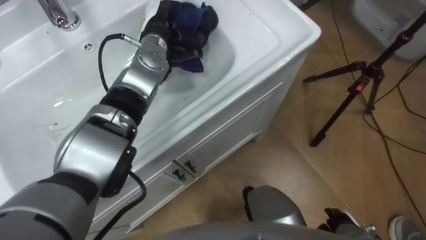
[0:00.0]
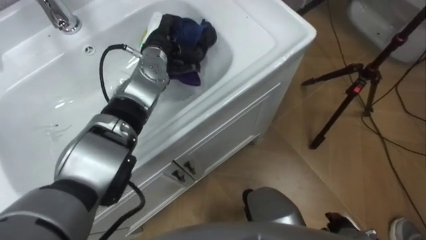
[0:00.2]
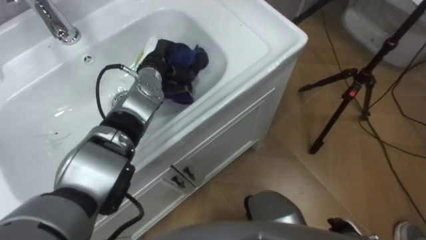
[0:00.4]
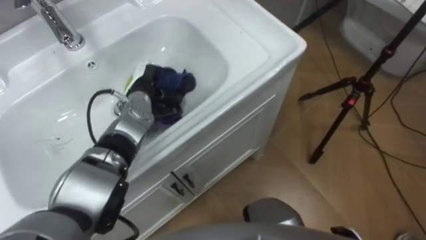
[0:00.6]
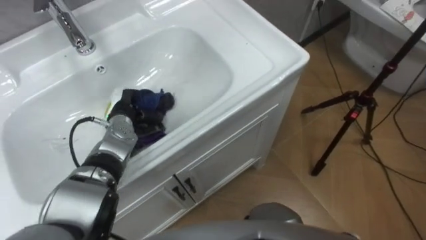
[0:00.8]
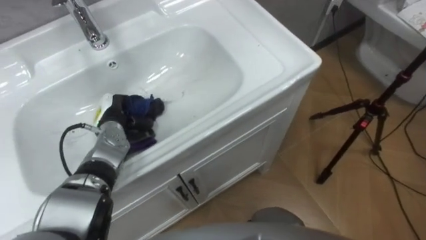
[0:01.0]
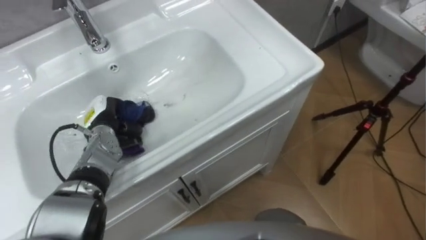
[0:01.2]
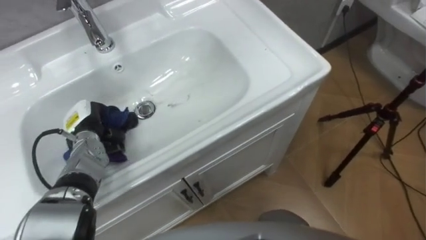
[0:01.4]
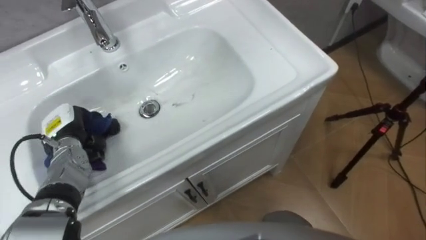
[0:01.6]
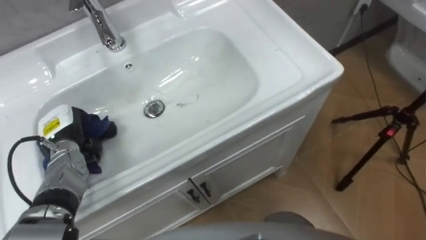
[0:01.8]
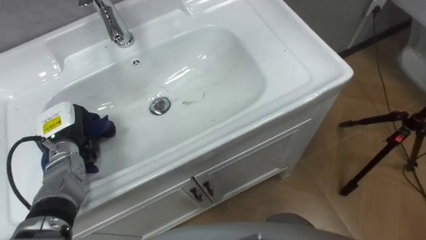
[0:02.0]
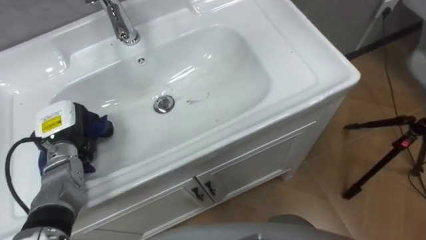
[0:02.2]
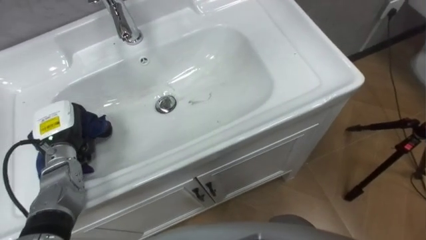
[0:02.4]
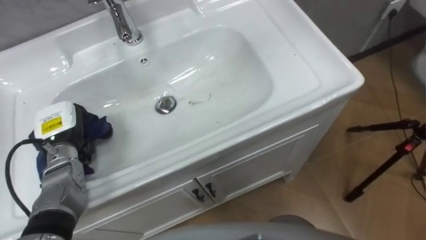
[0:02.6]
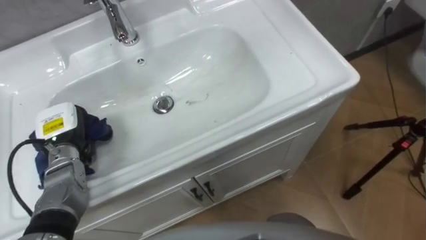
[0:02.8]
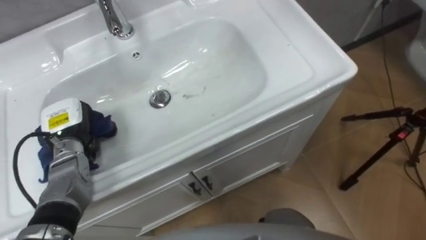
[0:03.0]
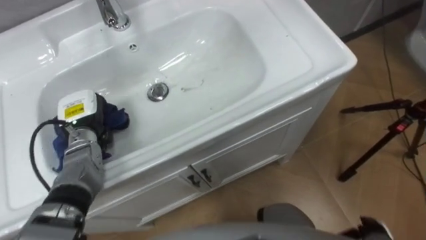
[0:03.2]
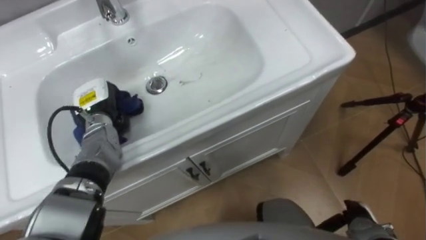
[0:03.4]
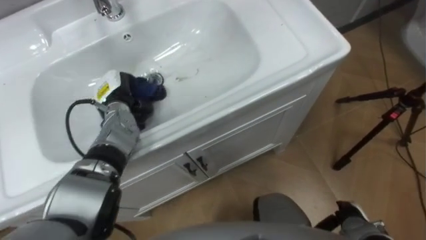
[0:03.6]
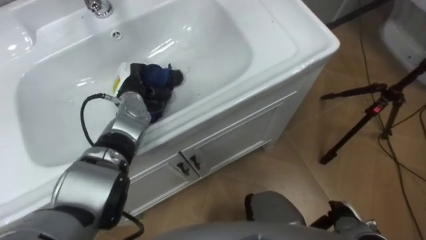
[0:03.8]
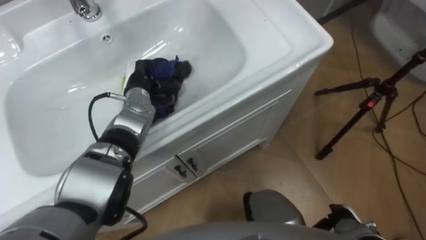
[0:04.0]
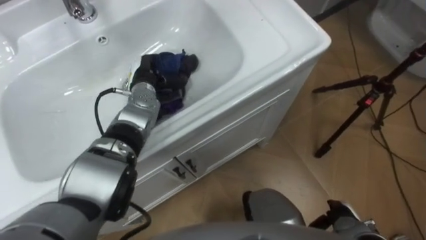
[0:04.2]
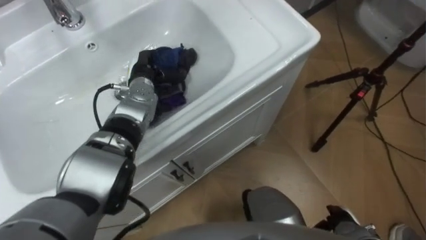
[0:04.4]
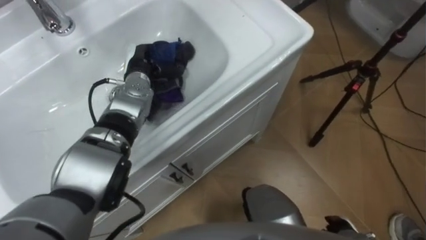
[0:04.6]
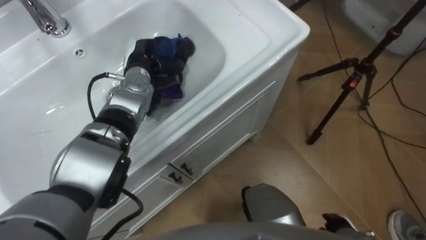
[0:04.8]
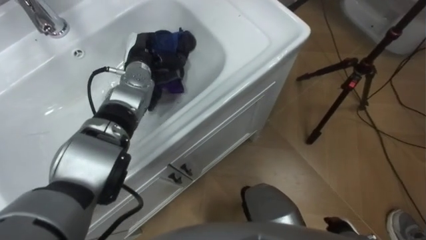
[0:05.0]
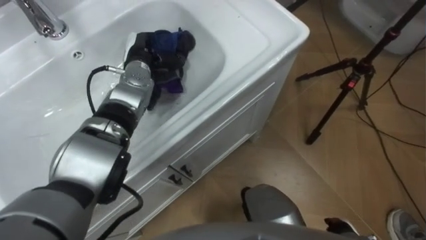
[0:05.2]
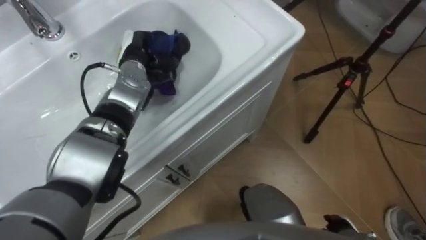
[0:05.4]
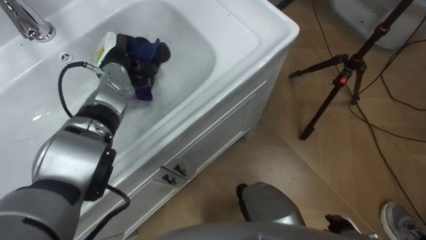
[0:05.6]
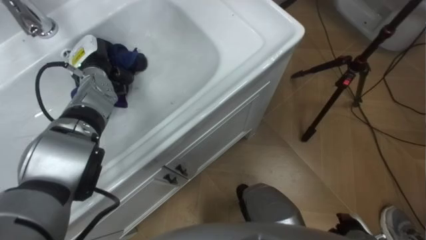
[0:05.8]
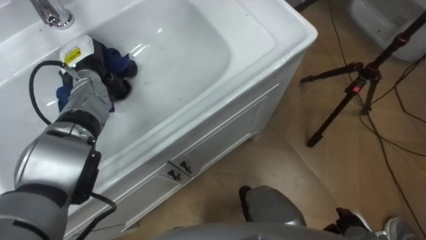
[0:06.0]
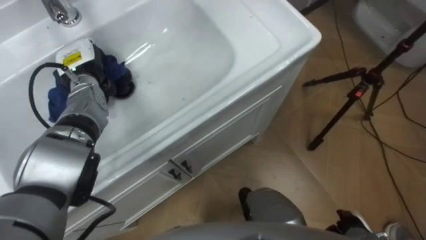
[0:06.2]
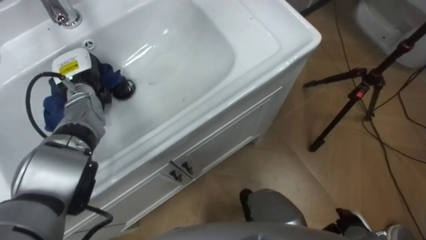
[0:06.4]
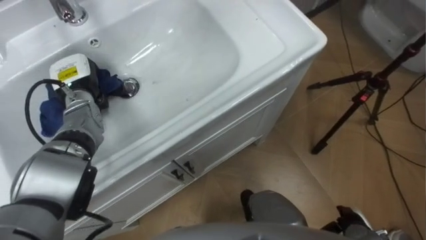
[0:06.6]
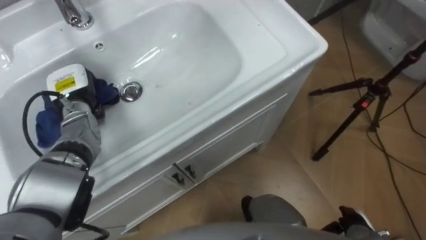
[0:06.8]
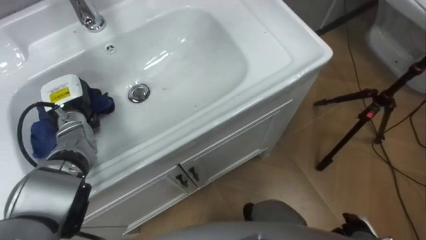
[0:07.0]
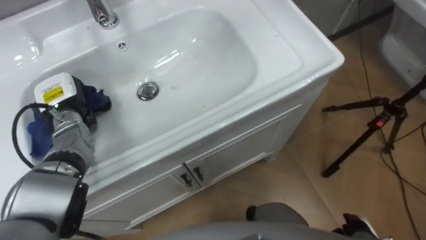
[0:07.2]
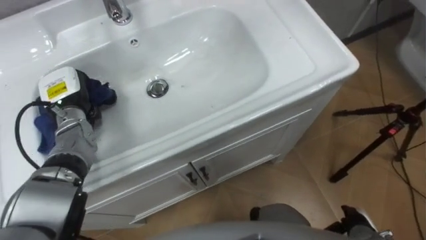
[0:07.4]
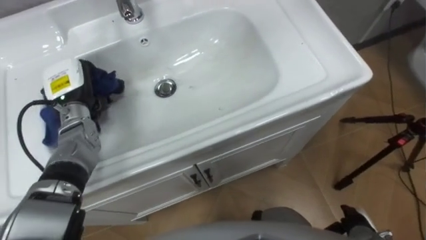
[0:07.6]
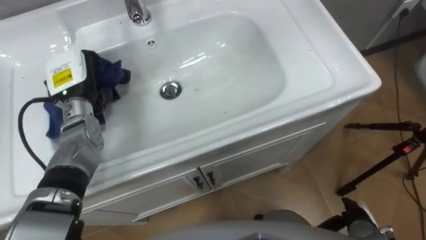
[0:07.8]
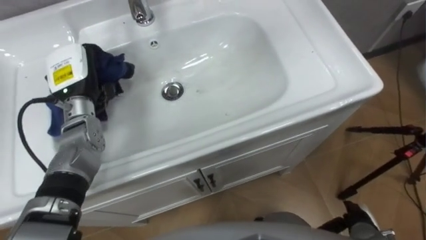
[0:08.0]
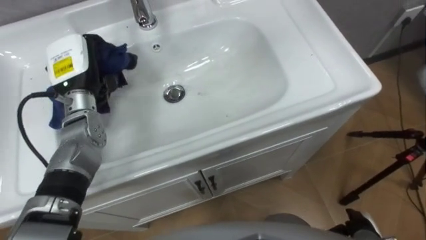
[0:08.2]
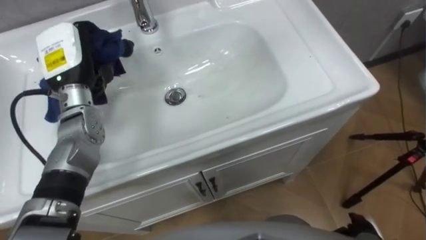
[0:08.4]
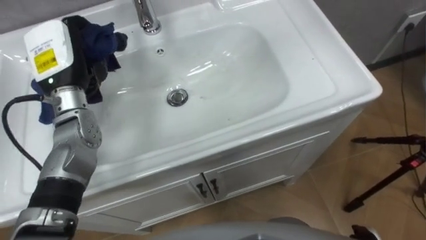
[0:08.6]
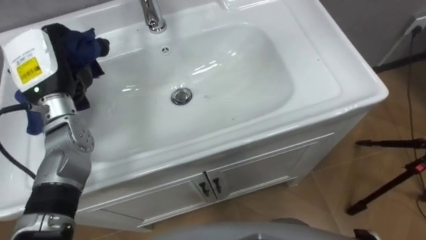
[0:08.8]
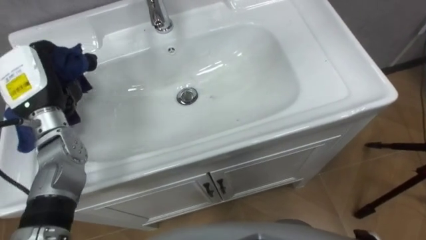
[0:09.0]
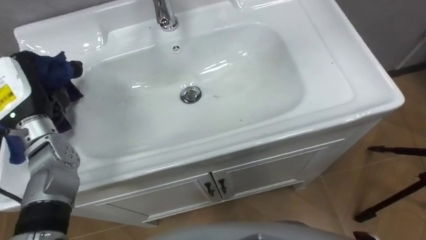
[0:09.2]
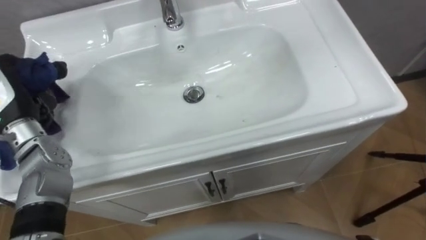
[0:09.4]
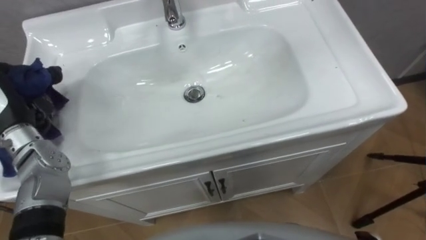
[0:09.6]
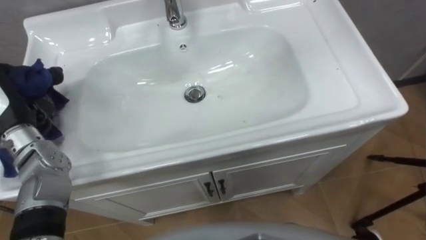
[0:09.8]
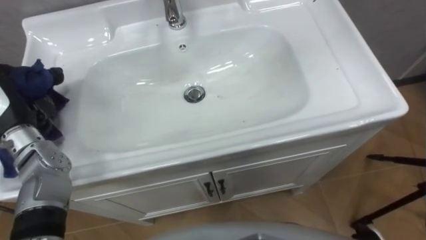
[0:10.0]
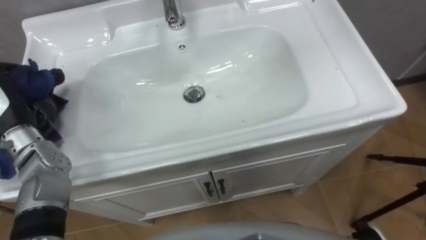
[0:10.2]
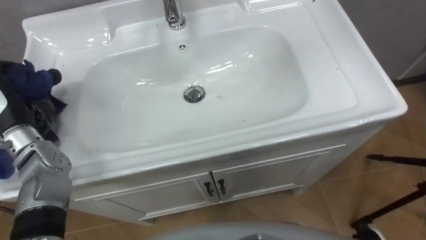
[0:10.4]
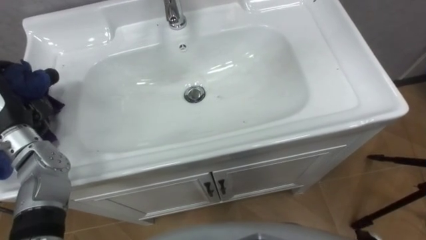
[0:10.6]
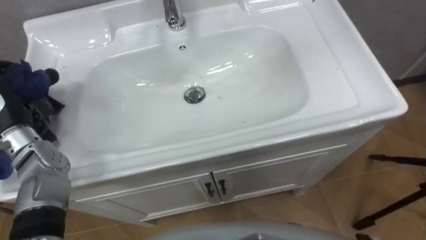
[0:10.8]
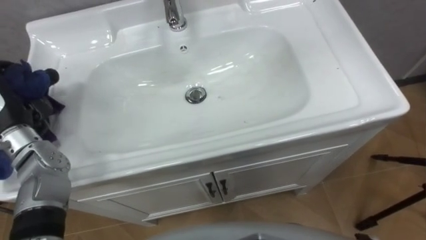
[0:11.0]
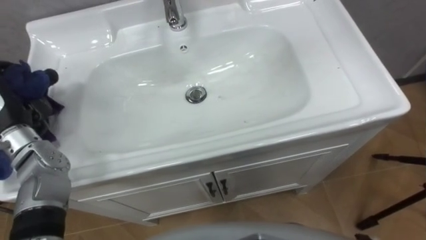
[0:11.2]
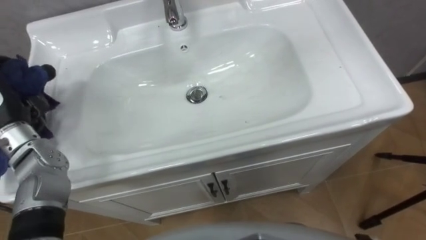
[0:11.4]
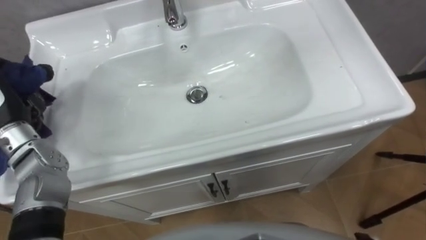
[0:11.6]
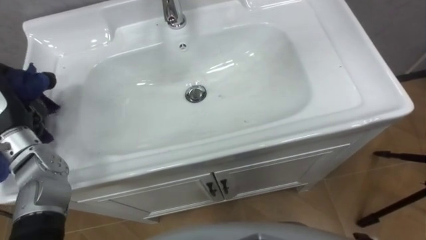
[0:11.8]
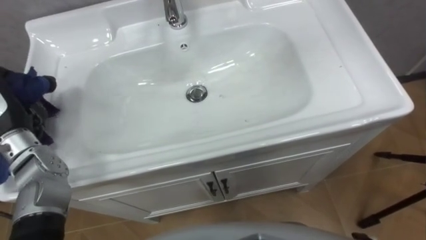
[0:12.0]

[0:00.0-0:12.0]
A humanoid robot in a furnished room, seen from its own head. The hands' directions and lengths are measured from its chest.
Task of the whole recording: Use the cloth on the right to wipe away the black stain in the sink.
0:00.0 to 0:01.6: The left hand goes roughly 30 cm to the left, backward and downward.
0:03.0 to 0:04.4: The left hand moves to the right and forward, approximately 20 cm.
0:04.4 to 0:06.0: The left hand moves to the left, about 10 cm.
0:06.0 to 0:07.6: The left hand is displaced backward by about 5 cm.
0:07.6 to 0:09.0: The left hand goes some 10 cm upward.

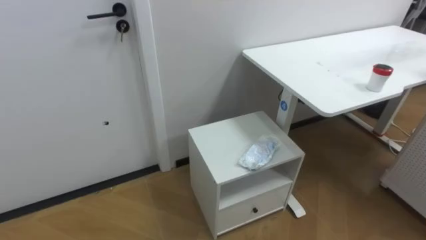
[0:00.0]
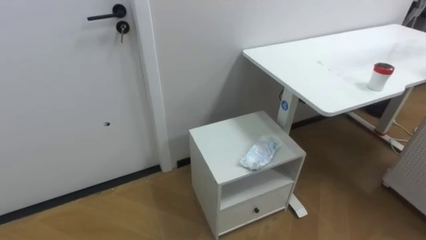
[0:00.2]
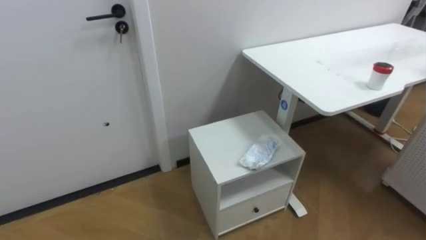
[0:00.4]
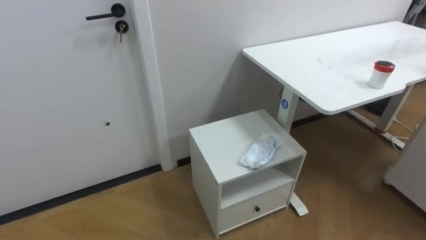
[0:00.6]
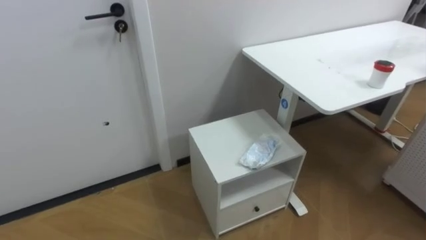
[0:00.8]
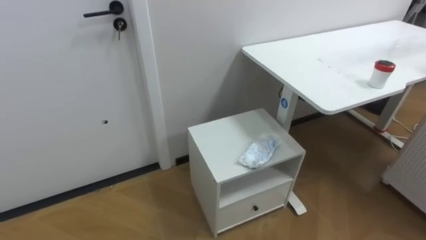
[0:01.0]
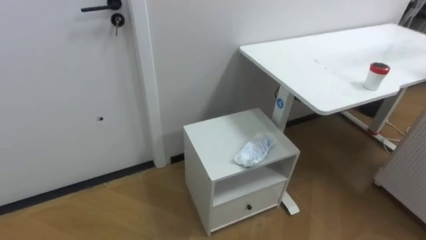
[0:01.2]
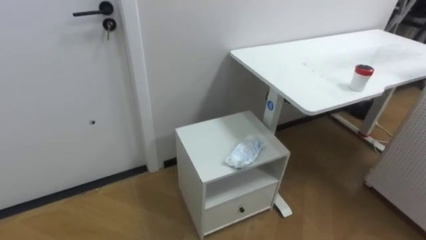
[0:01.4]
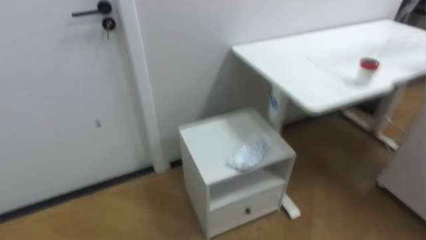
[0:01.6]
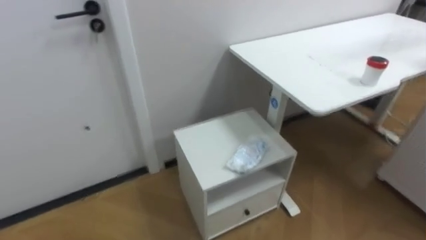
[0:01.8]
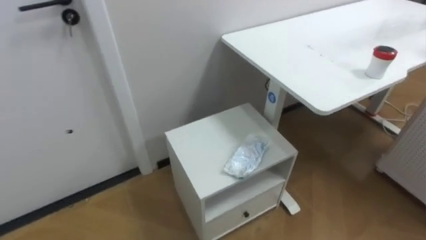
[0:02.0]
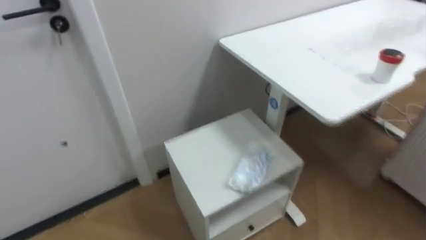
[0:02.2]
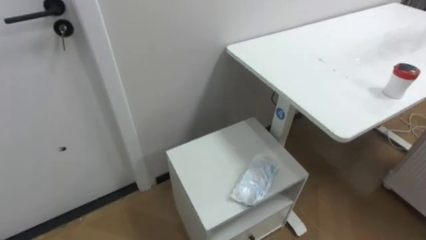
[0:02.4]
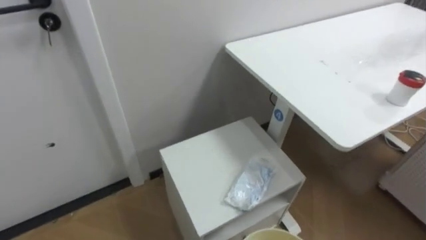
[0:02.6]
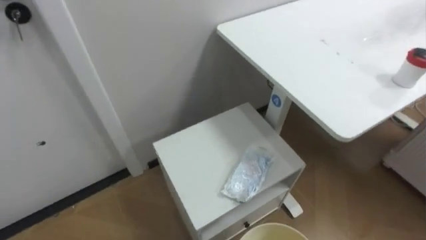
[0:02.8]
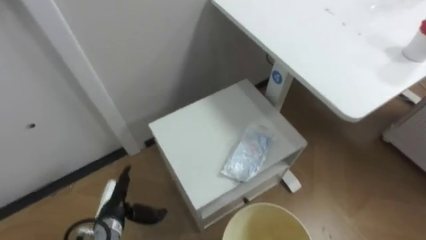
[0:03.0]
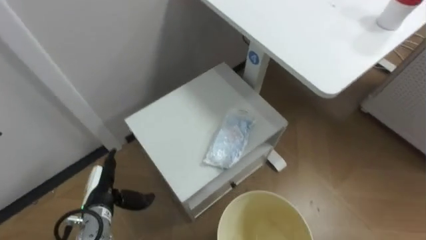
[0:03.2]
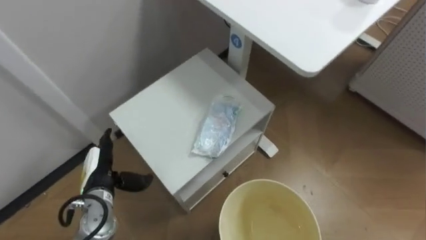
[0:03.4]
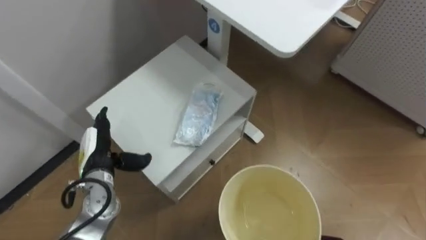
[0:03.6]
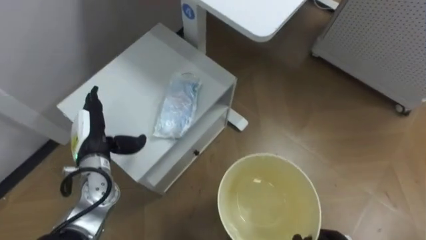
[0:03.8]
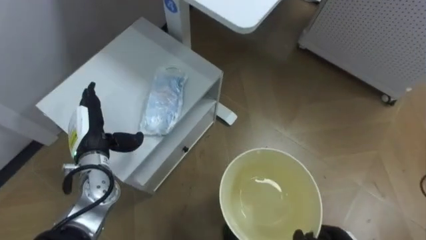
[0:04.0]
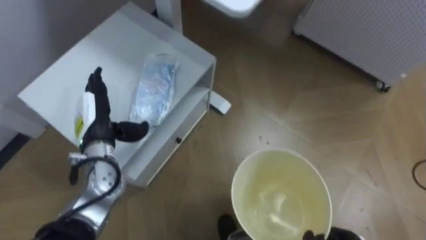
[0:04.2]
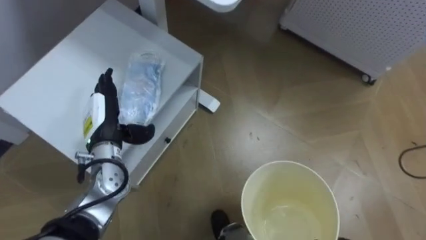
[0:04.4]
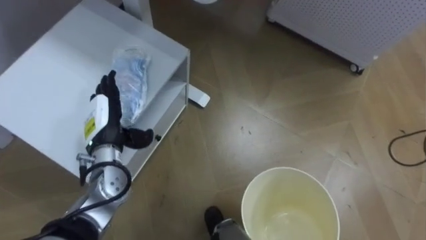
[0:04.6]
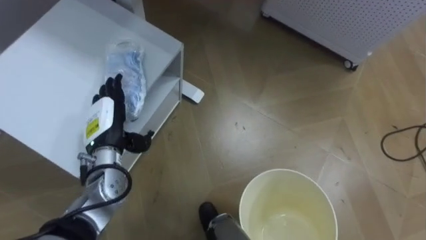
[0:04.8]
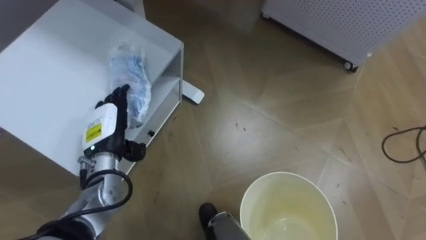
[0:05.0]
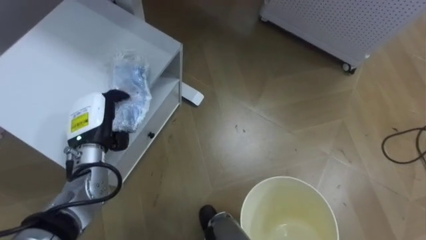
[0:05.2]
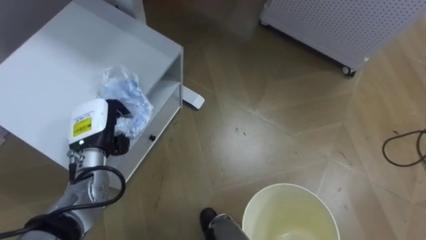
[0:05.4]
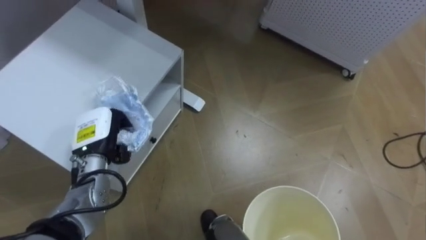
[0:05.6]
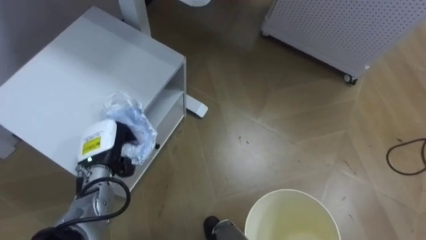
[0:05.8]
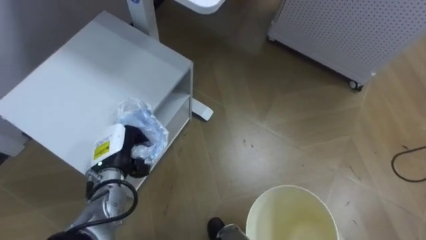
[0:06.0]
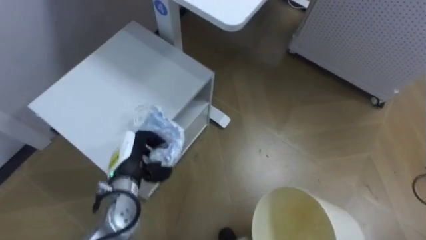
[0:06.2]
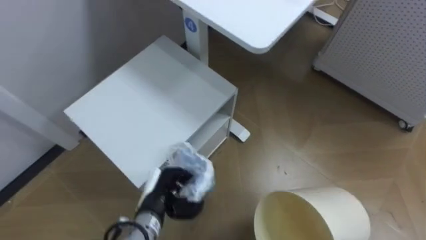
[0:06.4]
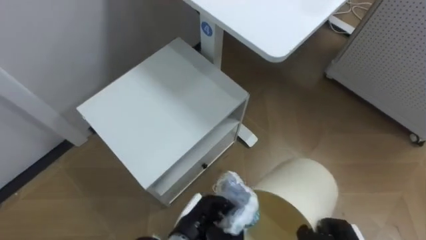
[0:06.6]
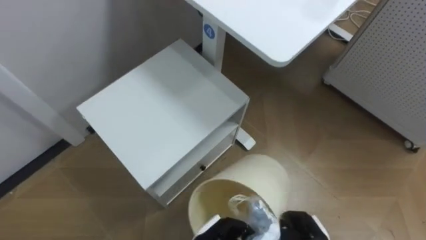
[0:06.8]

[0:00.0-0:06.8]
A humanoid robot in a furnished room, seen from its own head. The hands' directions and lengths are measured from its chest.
Task of the whole recording: Pick up the light blue package, the candy box, and the dark blue package separately, and put them into the trash can held in your right hand.
0:04.0 to 0:05.4: The left hand closes its fingers.
0:05.4 to 0:06.8: The left hand goes approximately 30 cm to the right, downward and backward.
